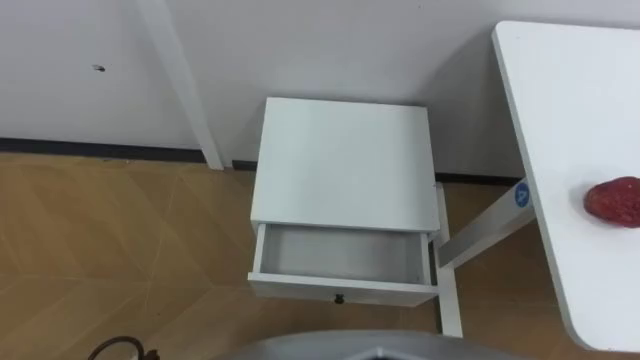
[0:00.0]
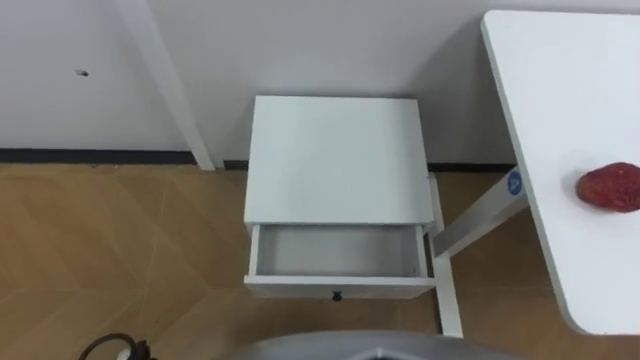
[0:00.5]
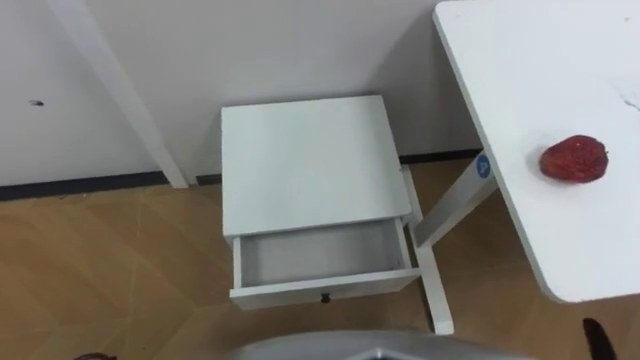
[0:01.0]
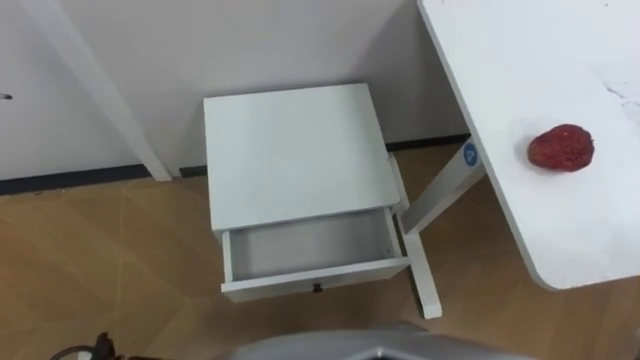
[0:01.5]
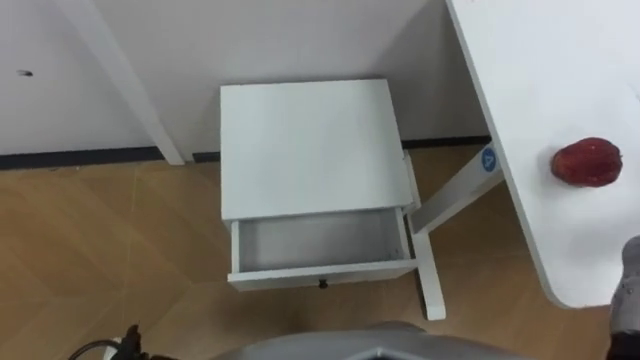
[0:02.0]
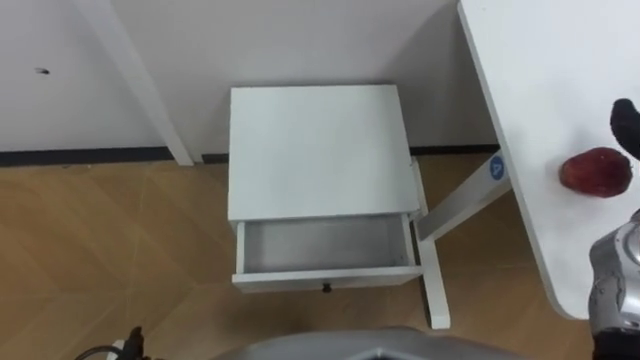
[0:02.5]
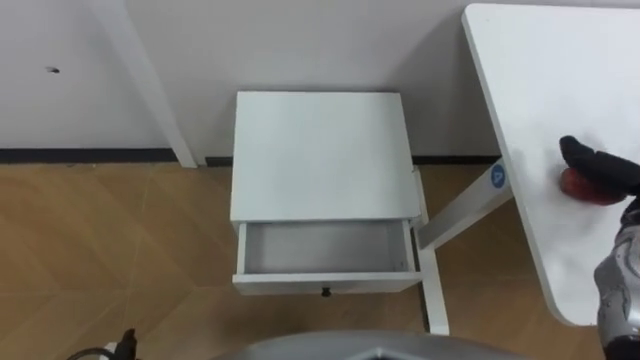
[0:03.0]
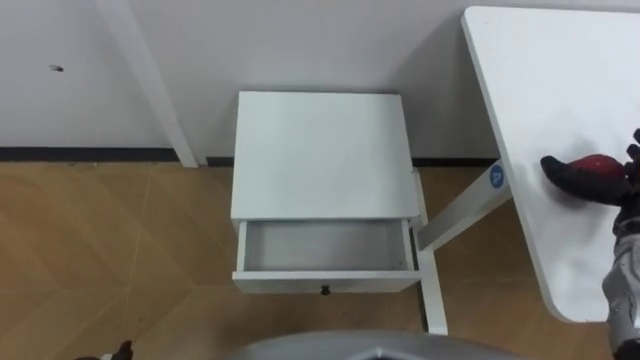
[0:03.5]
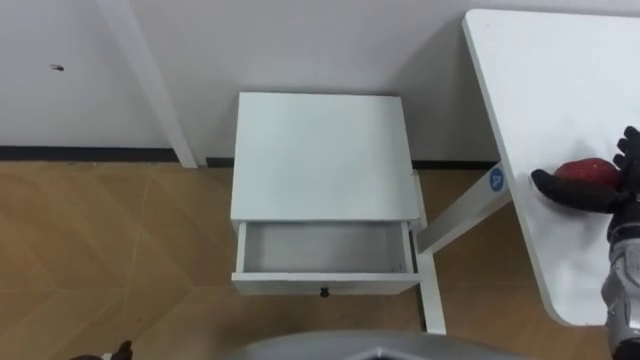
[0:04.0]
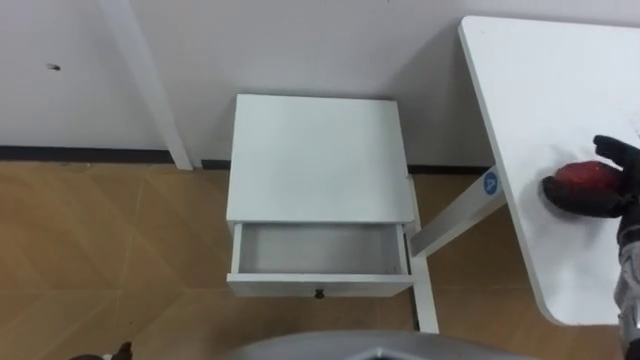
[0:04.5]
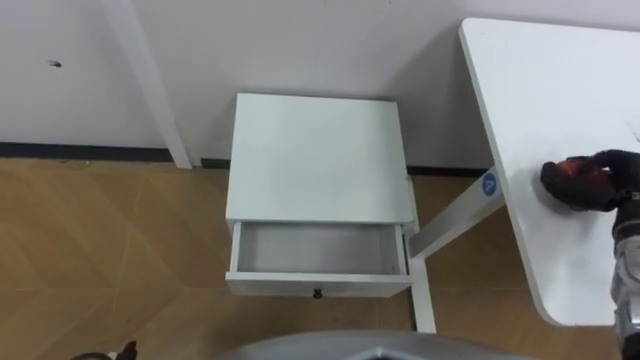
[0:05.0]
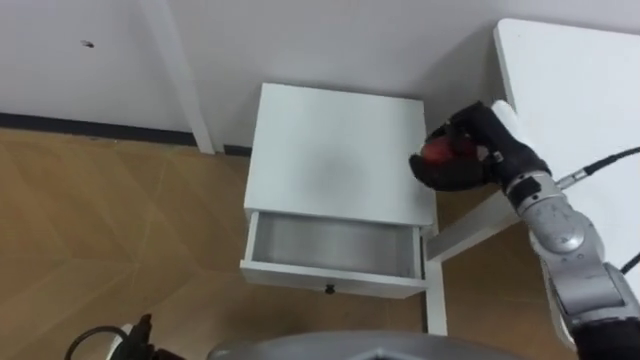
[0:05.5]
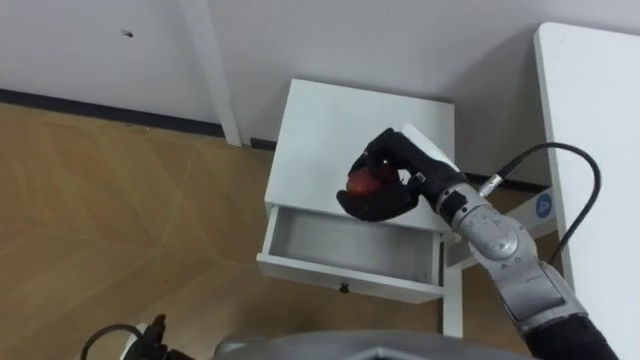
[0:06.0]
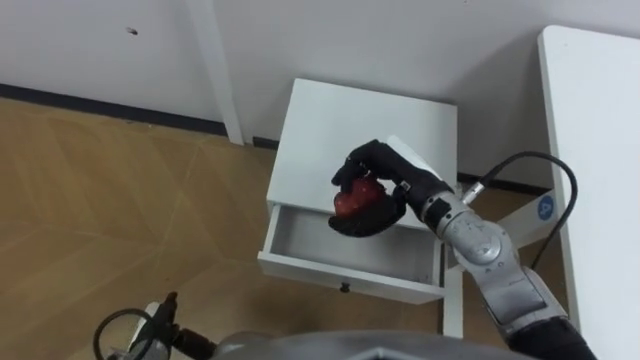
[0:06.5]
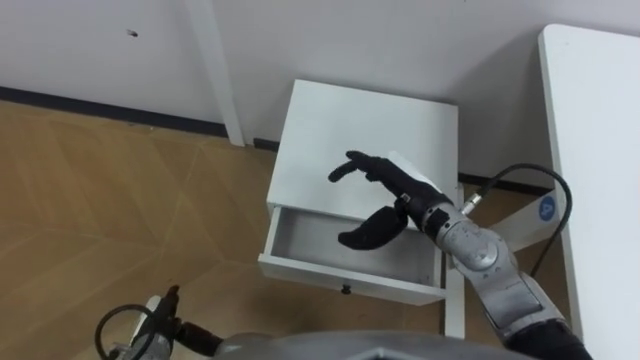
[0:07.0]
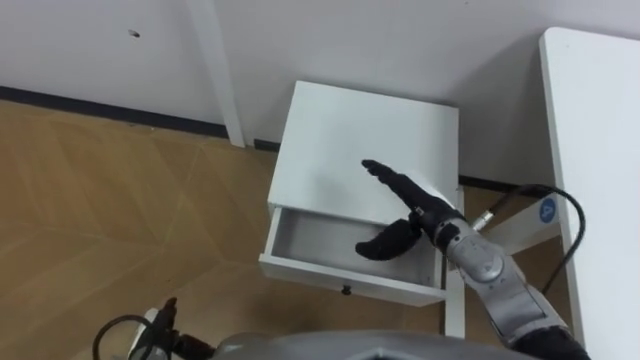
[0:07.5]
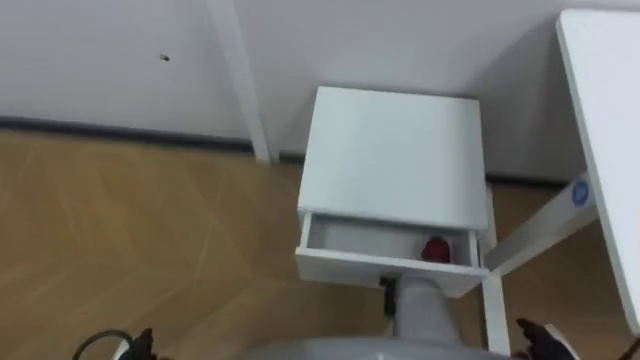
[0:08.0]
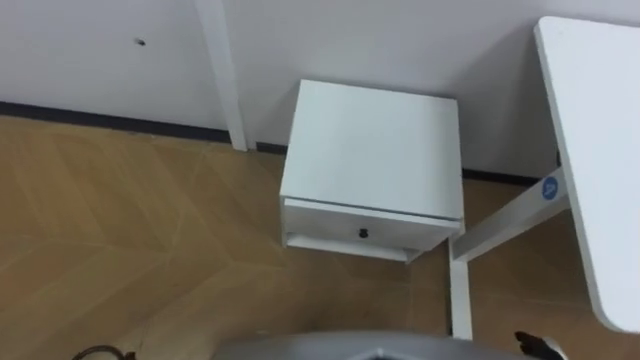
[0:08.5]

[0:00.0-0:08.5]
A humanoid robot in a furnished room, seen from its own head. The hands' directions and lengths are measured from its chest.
Task of the whole recording: Pick up the apple from the table, put it in the drawer, and close the drawer with leg.
0:04.0 to 0:06.5: The right hand goes roughly 30 cm to the left, and closes up.

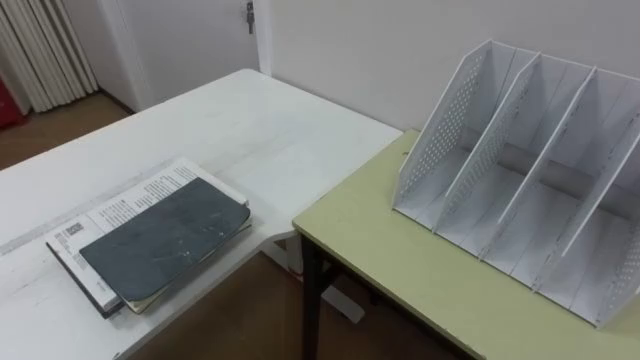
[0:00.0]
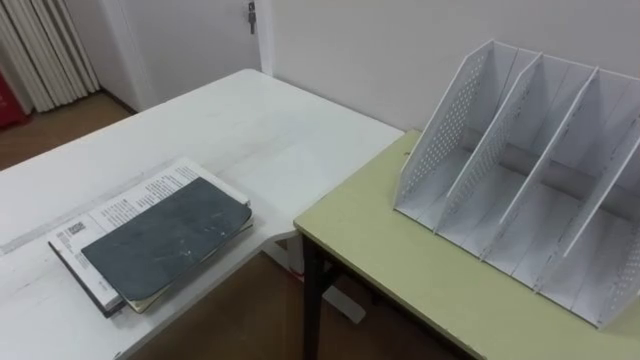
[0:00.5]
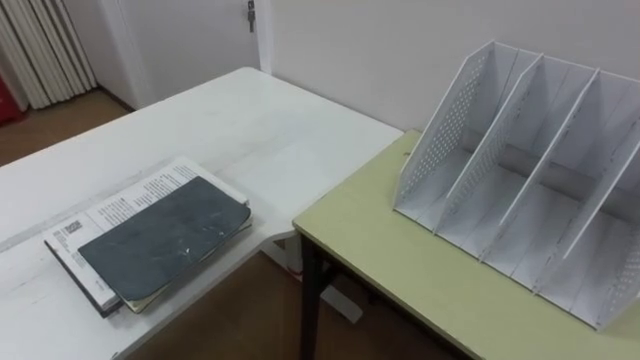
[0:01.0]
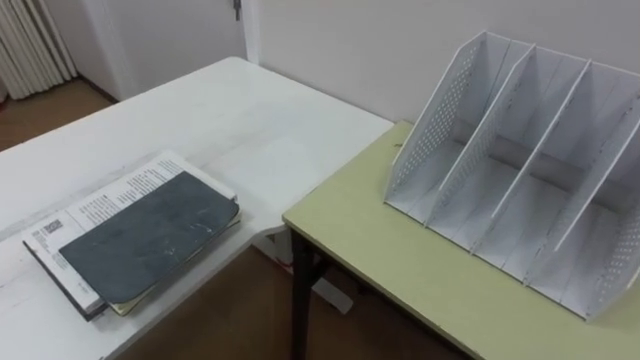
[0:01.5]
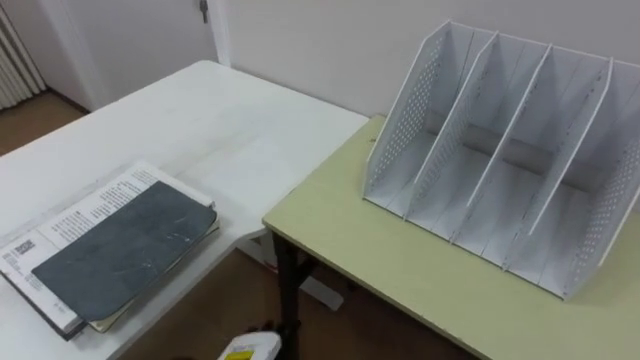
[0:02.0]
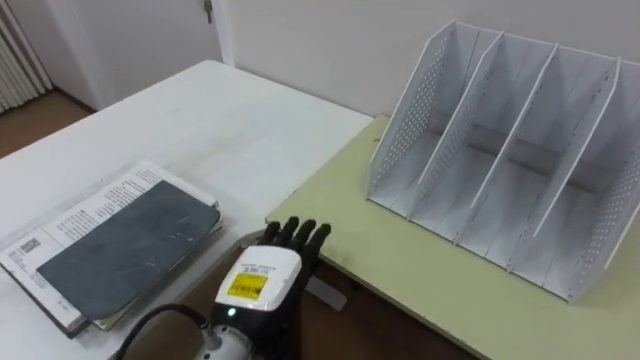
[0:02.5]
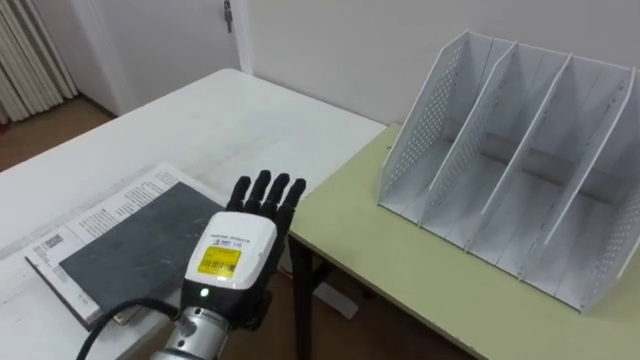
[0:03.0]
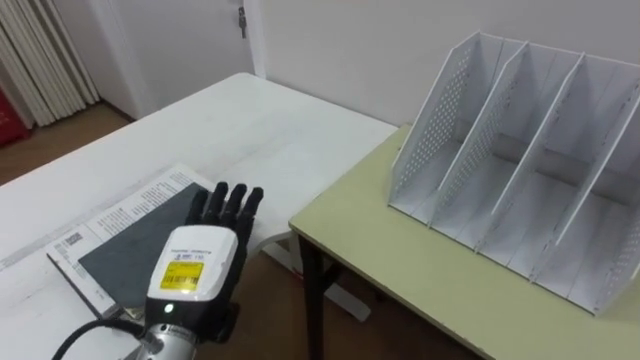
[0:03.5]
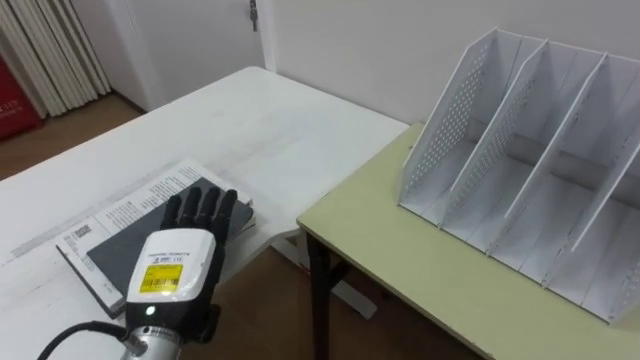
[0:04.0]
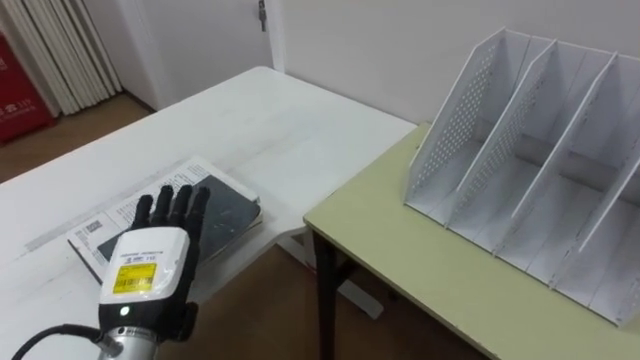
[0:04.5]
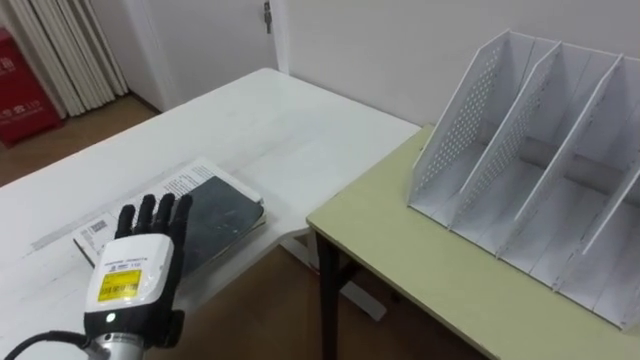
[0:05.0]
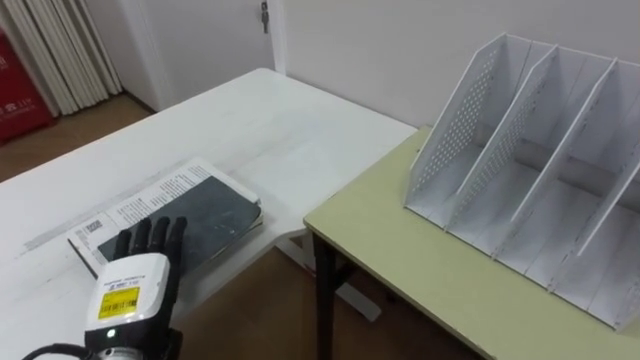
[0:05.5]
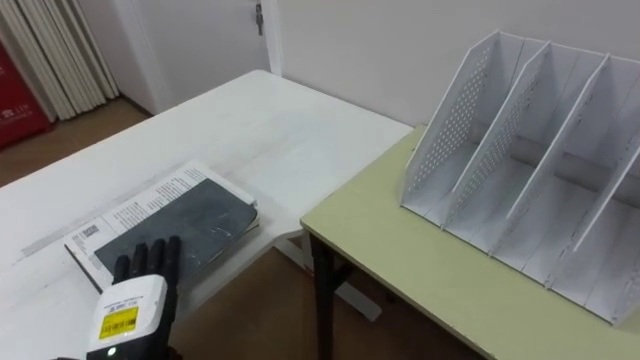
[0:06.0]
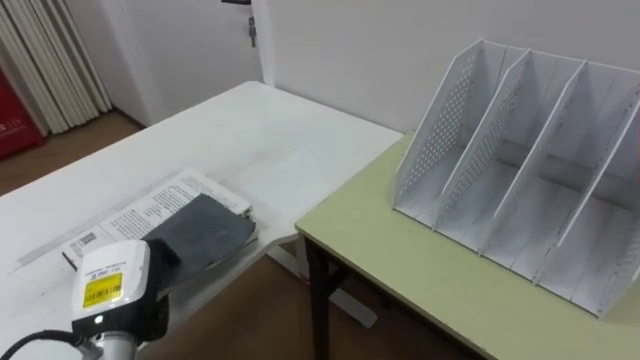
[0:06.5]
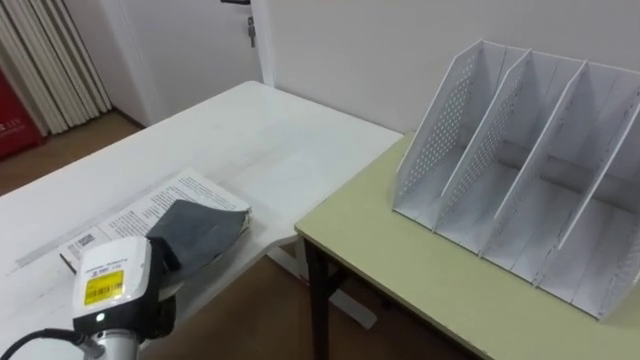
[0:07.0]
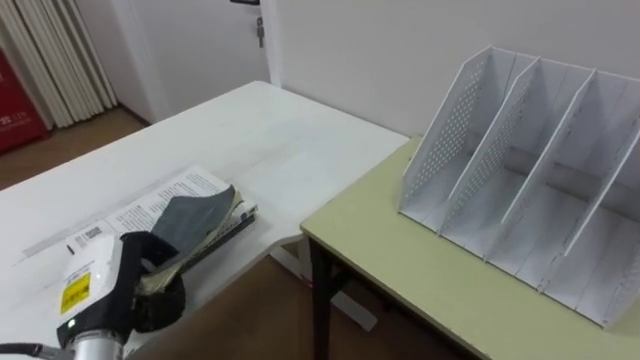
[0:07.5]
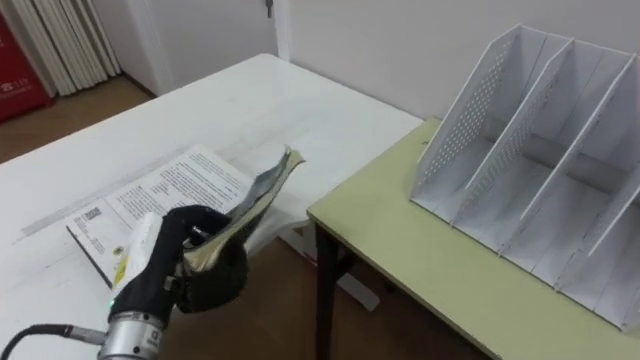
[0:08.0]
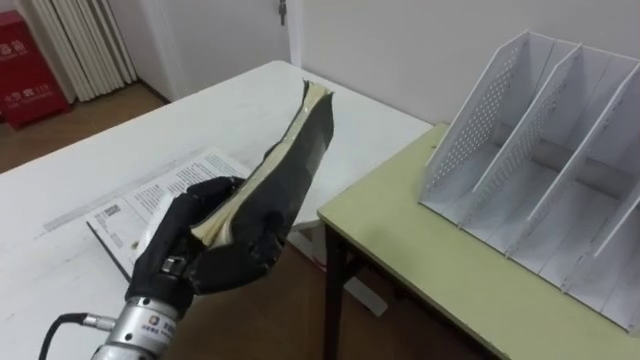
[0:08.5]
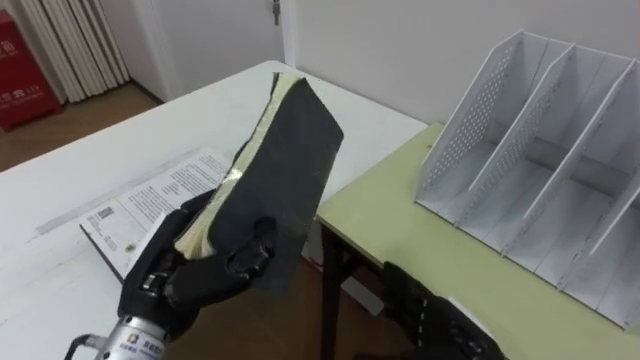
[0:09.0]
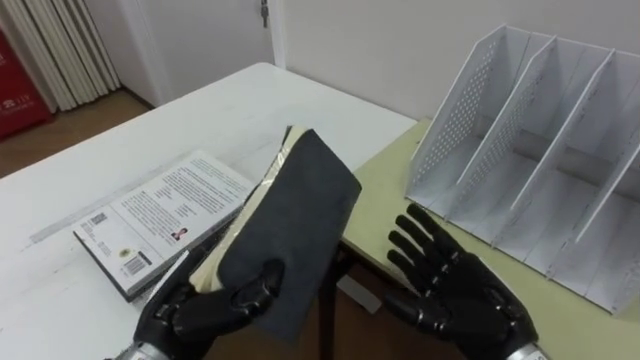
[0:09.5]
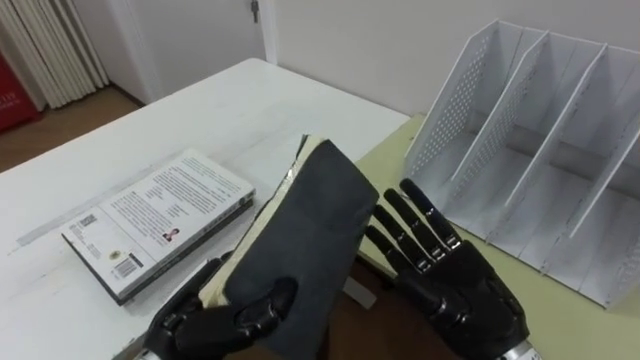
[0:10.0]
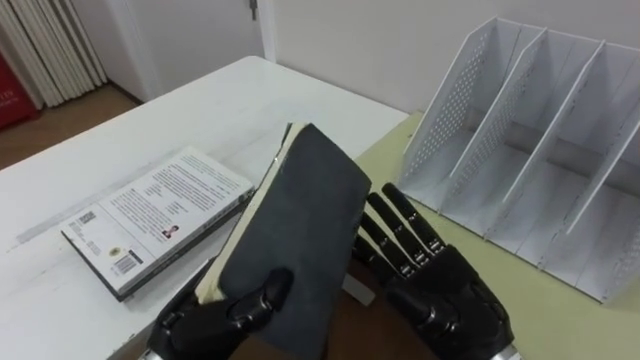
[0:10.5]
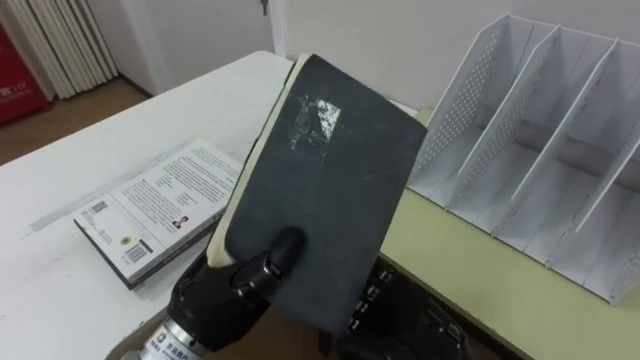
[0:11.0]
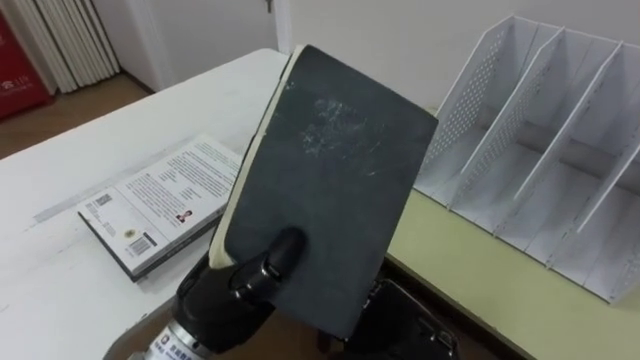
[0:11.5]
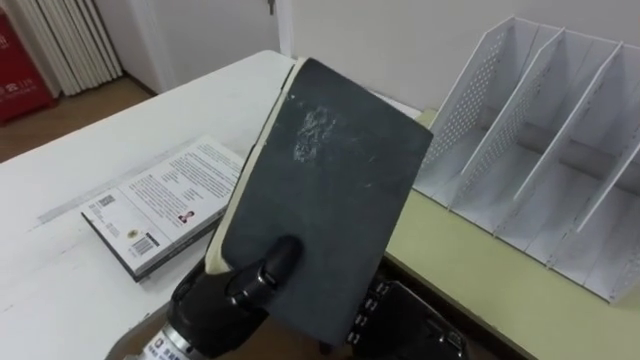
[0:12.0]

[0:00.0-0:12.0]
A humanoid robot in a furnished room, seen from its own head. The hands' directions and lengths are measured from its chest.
Task of the whole recording: Put the books on the table onto the bookshelf.
0:04.0 to 0:06.0: The left hand is displaced downward and to the left by about 10 cm.
0:06.0 to 0:08.0: The left hand travels upward by some 10 cm, and closes up.
0:08.0 to 0:10.0: The left hand shifts roughly 5 cm to the right.
0:10.0 to 0:12.0: The left hand shifts by about 5 cm. Meanwhile the right hand goes some 5 cm to the left.
